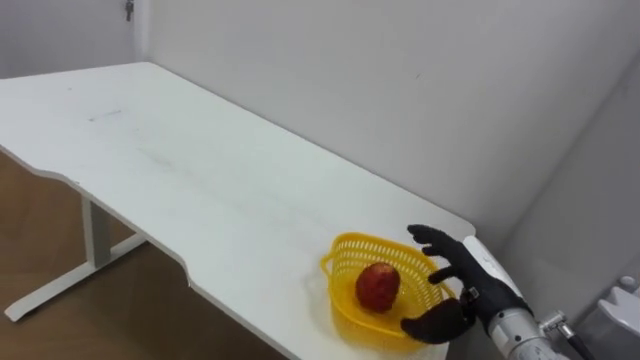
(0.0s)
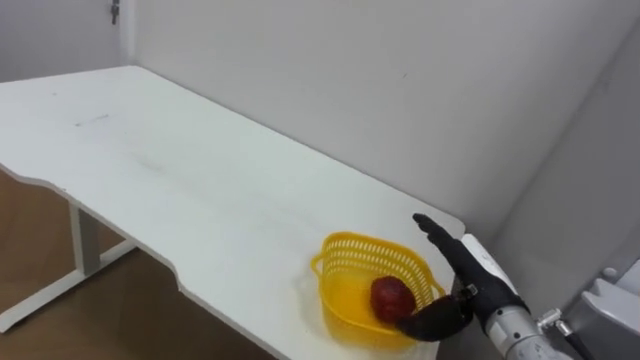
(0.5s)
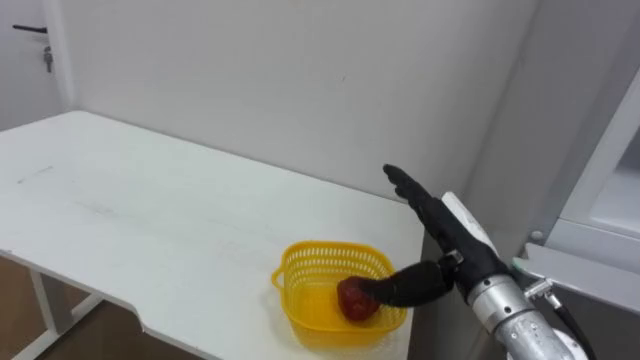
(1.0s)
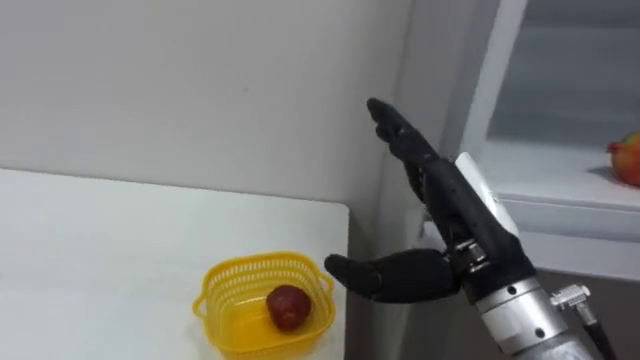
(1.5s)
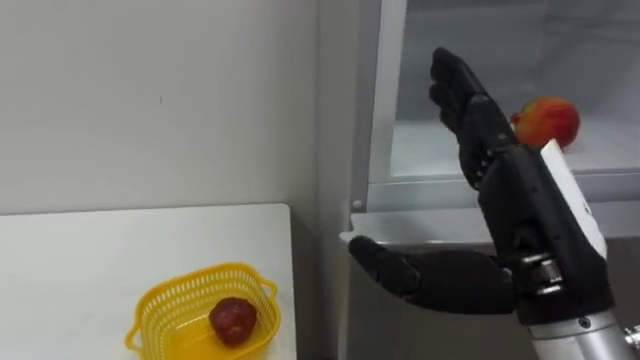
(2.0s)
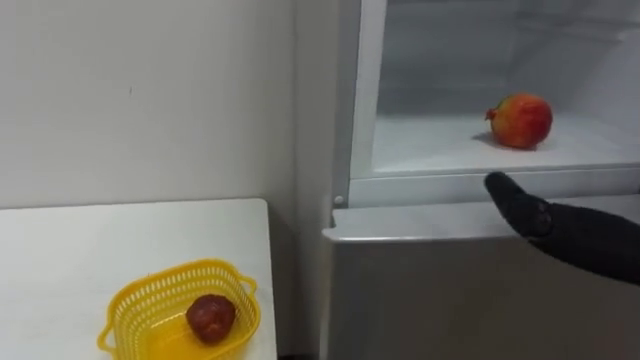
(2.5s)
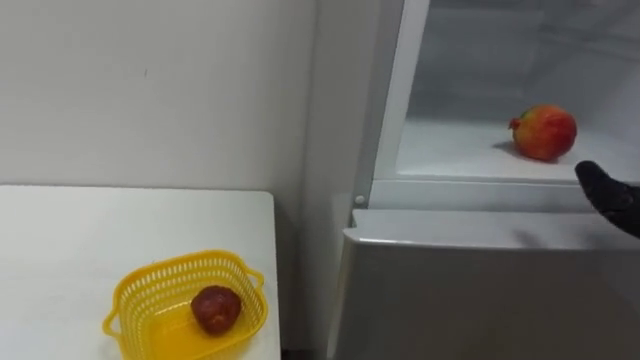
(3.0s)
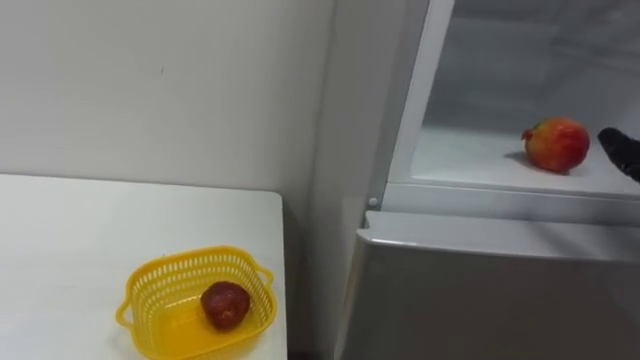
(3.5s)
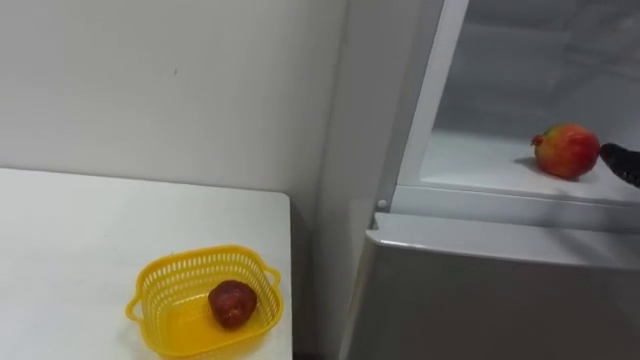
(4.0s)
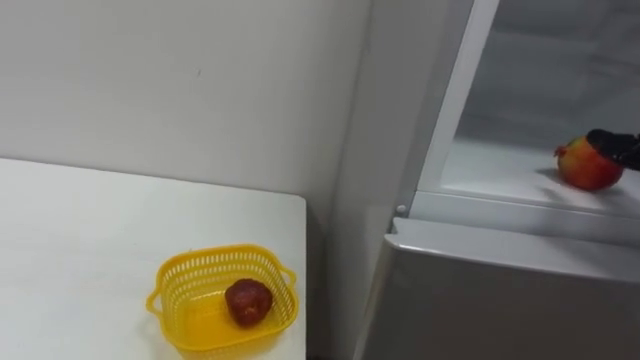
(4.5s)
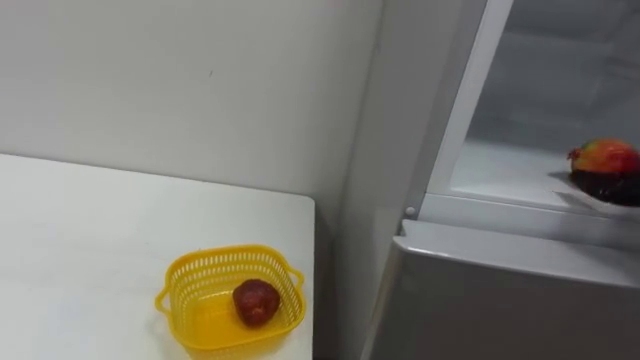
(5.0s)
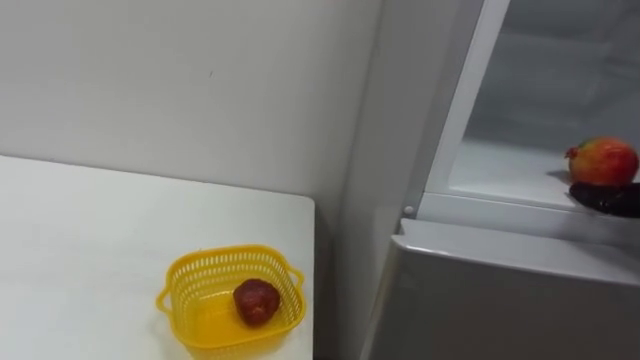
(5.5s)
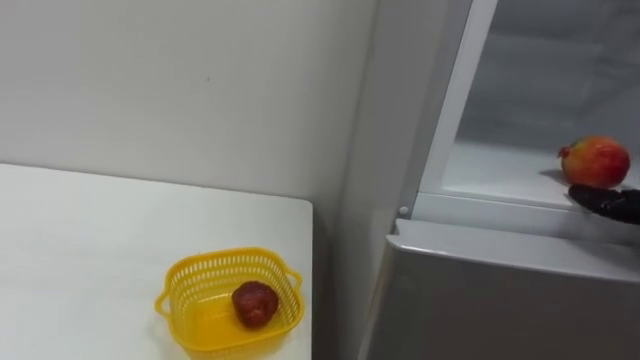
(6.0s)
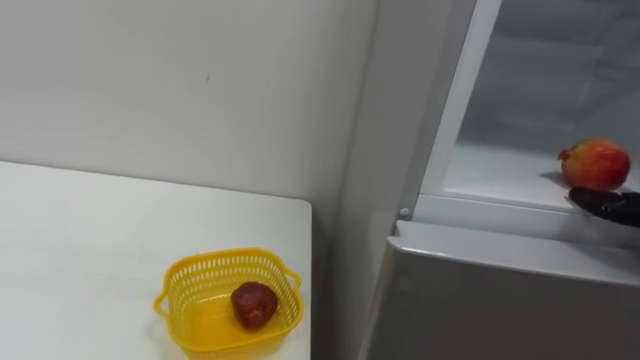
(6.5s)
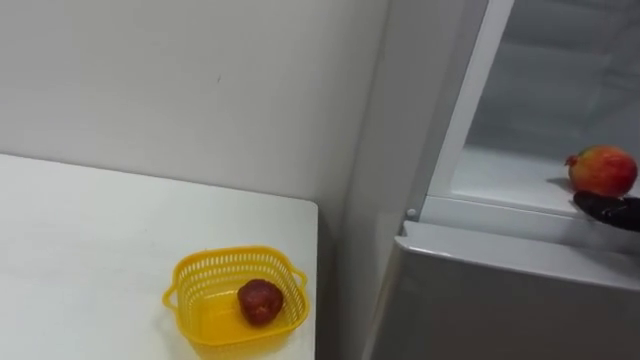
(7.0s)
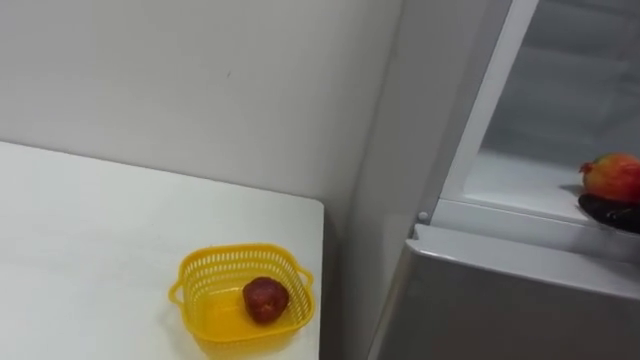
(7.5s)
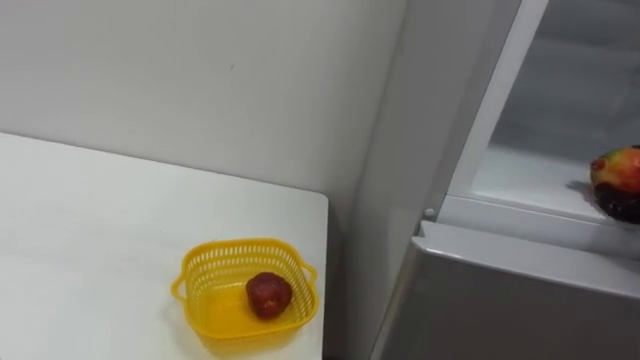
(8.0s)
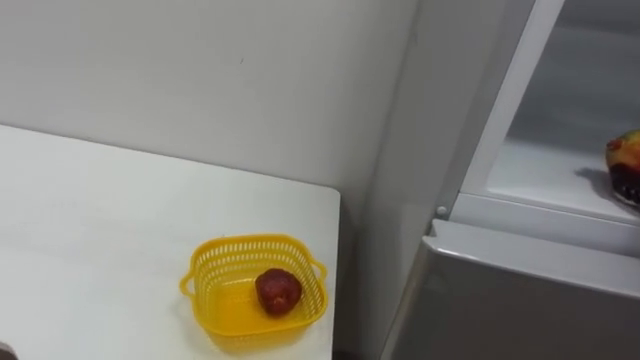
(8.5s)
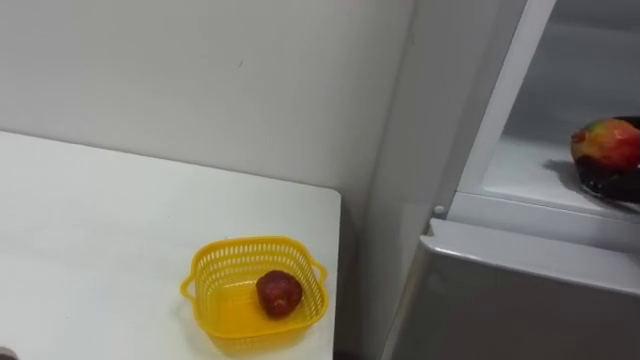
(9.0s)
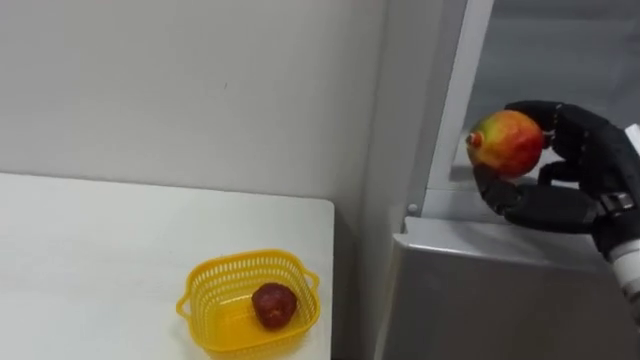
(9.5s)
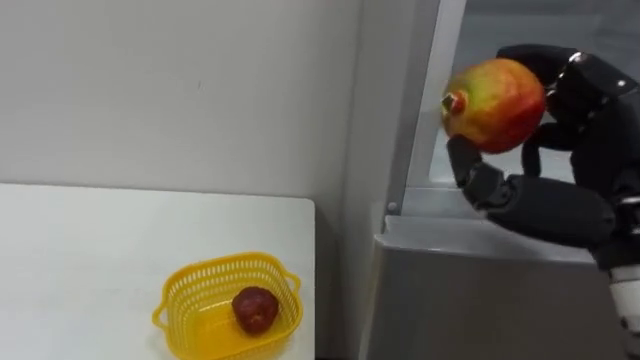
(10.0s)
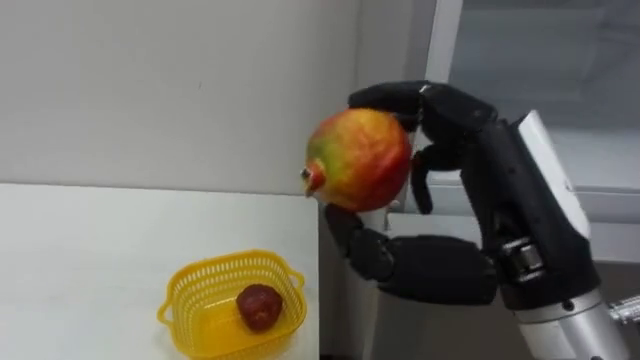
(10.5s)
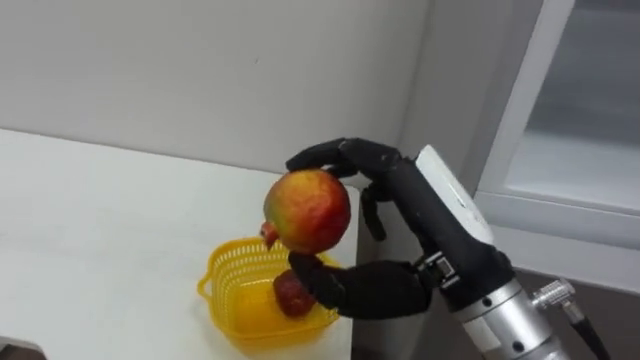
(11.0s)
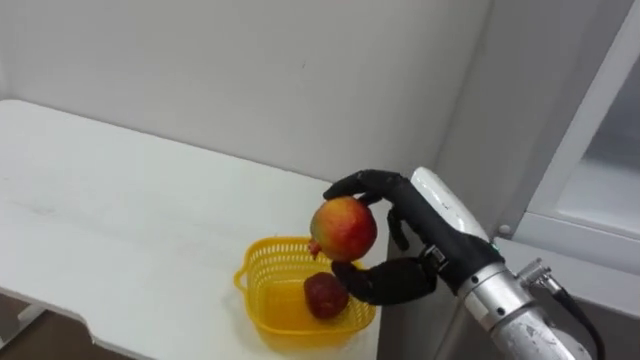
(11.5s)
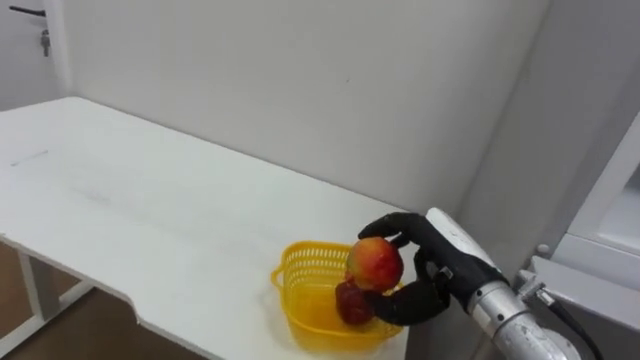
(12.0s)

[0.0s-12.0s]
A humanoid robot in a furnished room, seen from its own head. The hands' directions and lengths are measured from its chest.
Task of the whole recording: Open the refrigerator door, take out the apple and the pomegranate, place them in the fruit basket on the left, and close the refrigerator door.
0.0s to 2.0s: The right hand heads upward and backward, covering about 20 cm.
10.0s to 12.0s: The right hand goes roughly 20 cm downward, forward and to the left.

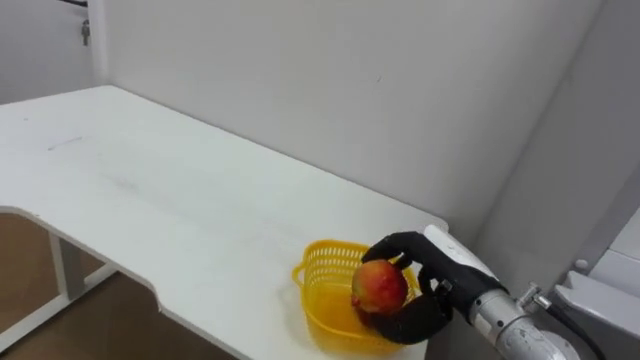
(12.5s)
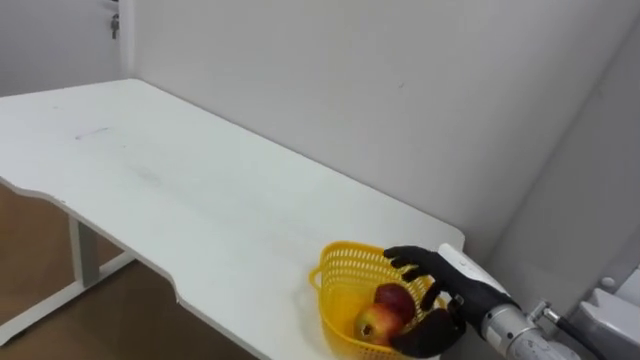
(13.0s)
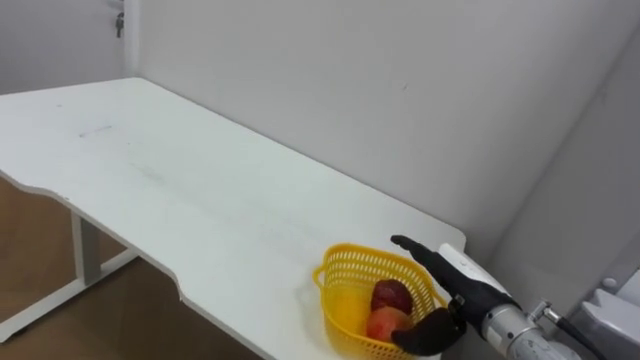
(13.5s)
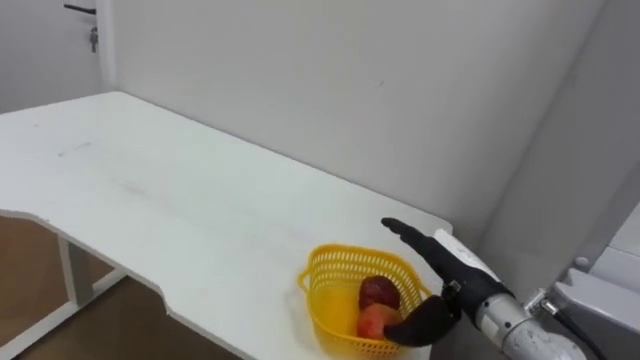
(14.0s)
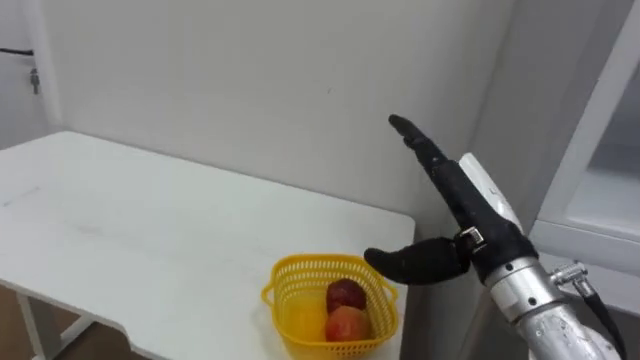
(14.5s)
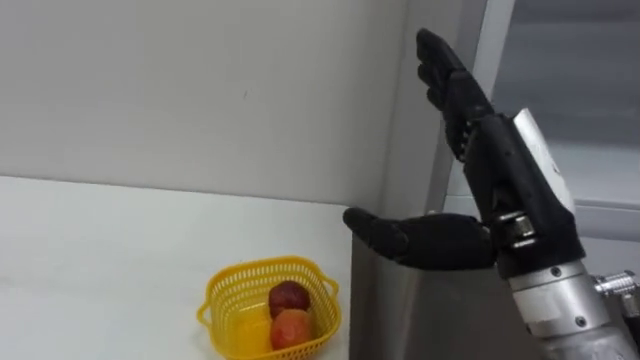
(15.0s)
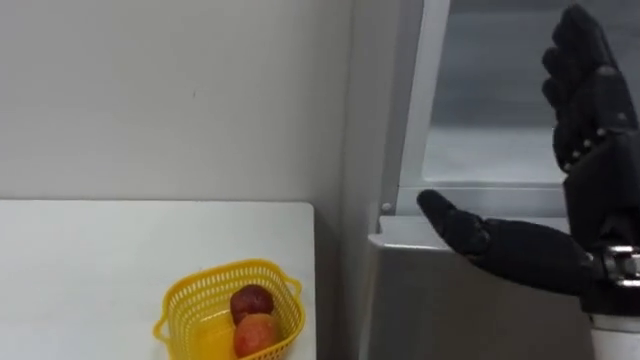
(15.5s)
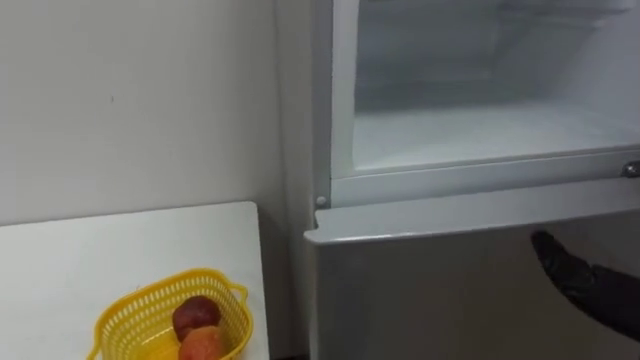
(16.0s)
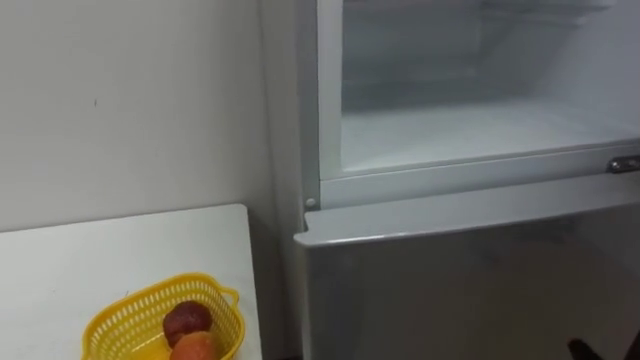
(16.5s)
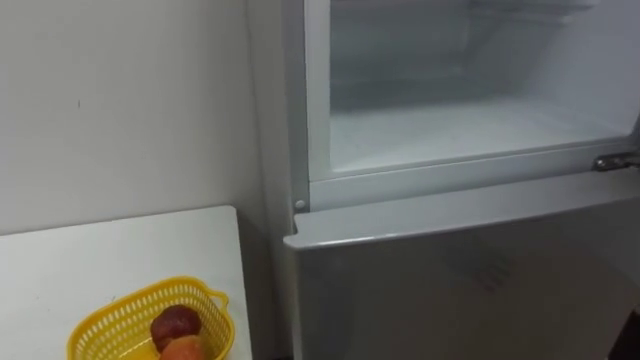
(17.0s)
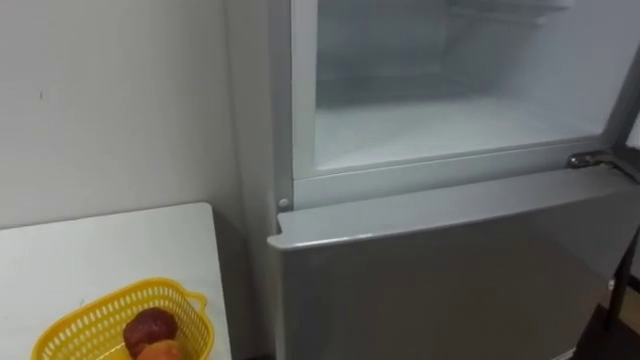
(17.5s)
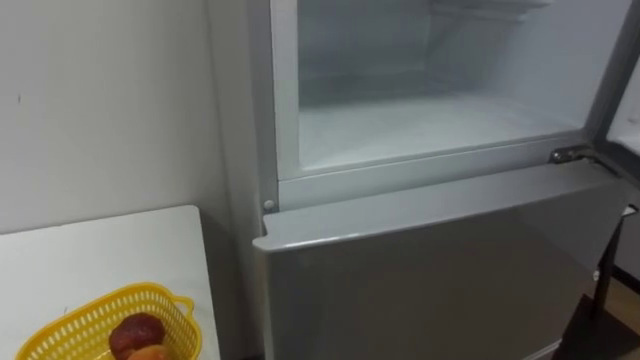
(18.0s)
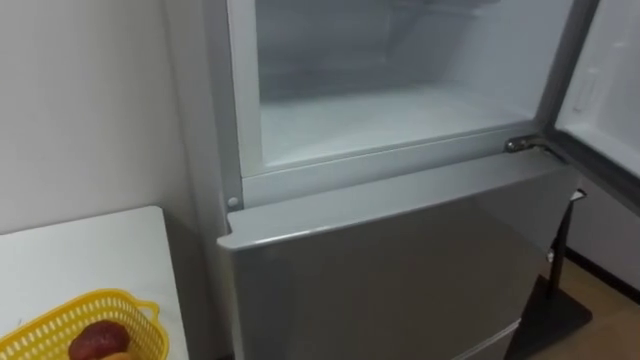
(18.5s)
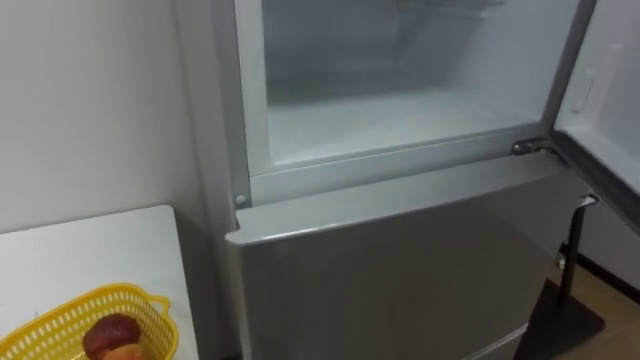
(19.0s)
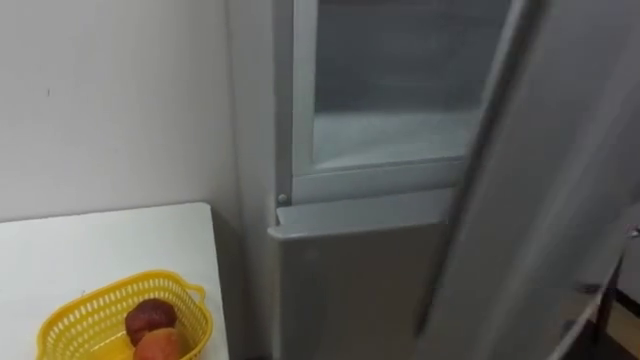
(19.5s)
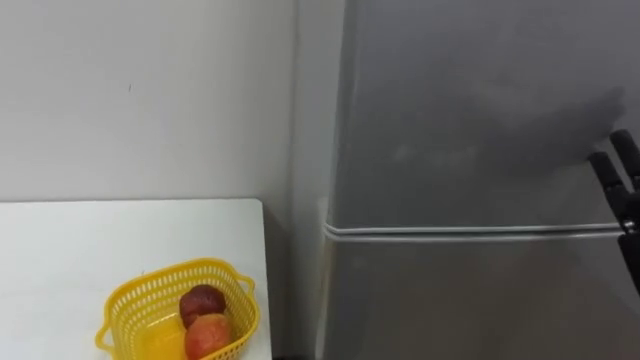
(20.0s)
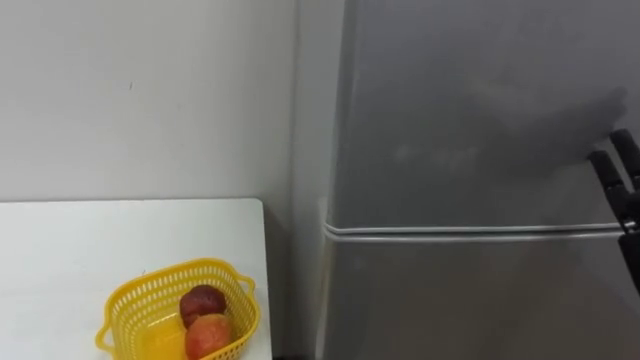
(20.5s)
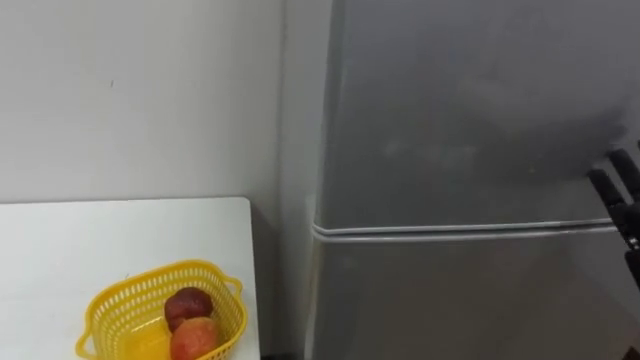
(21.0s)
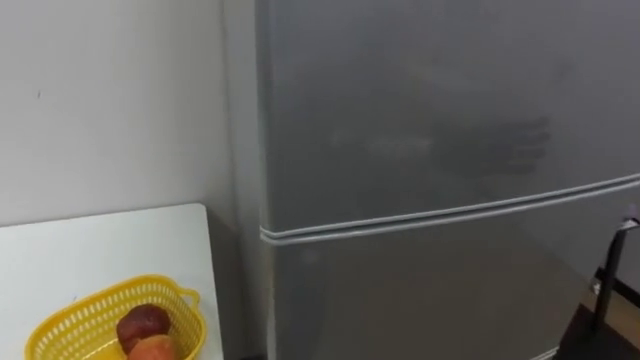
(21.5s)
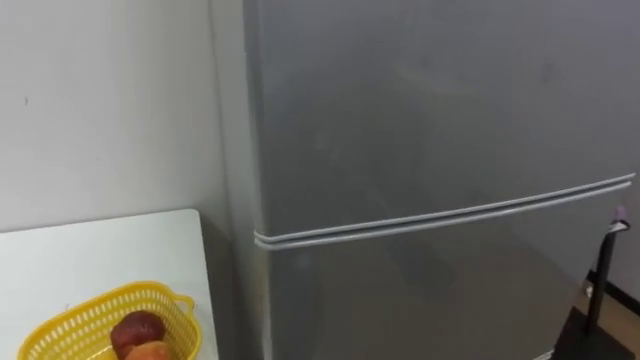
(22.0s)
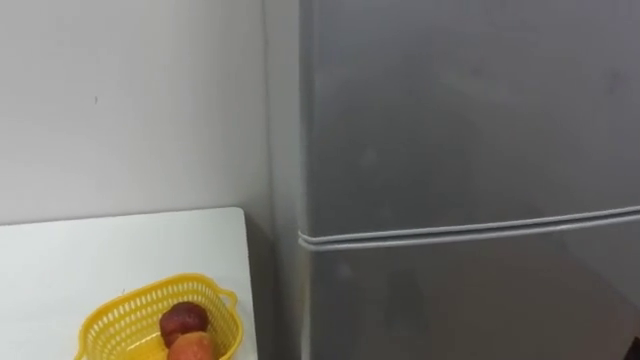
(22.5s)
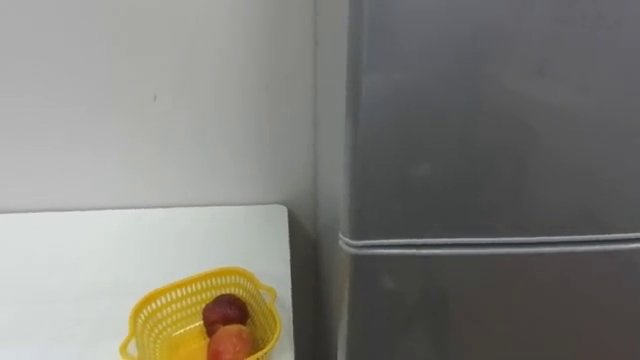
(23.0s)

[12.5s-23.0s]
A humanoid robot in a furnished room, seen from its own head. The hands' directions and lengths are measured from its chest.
Task of the whole recording: Open the refrigerator door, take out the apple and the pomegranate, place them in the fruit basket on the left, and close the refrigerator door.
12.5s to 14.5s: The right hand heads upward, covering approximately 10 cm, and opens.
